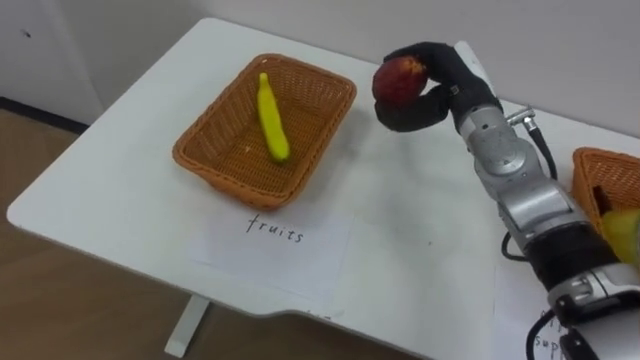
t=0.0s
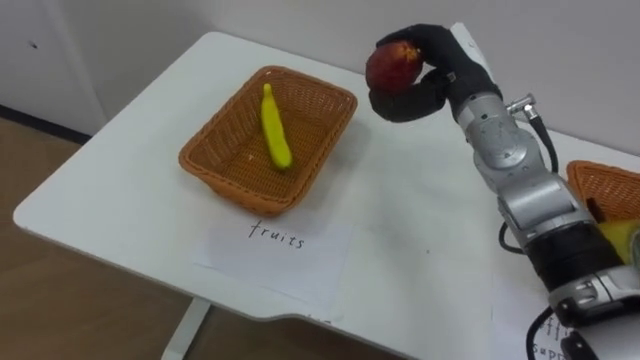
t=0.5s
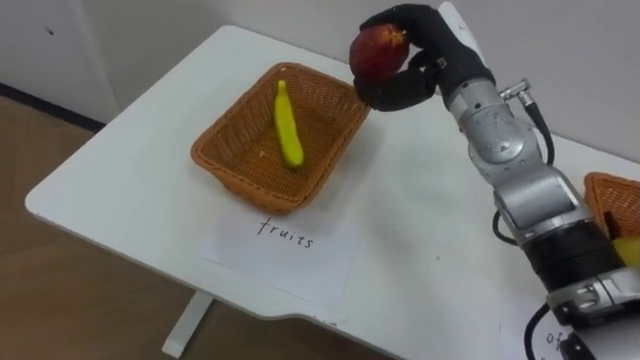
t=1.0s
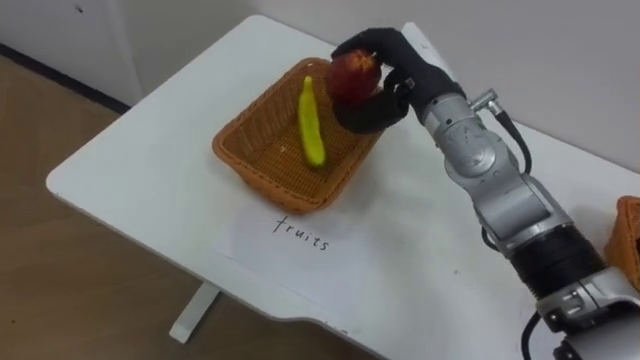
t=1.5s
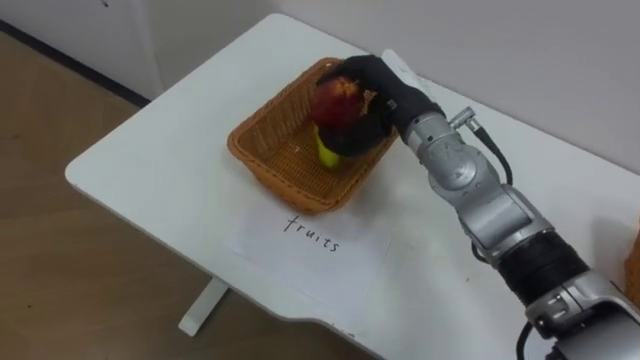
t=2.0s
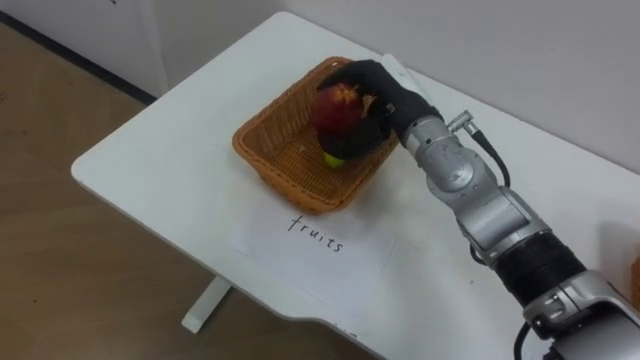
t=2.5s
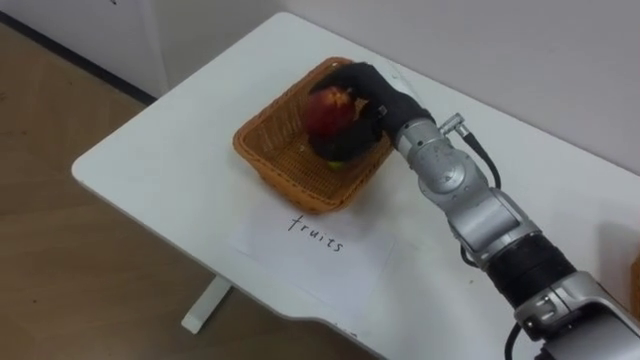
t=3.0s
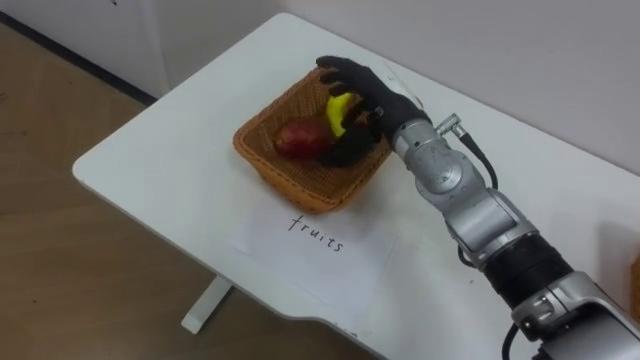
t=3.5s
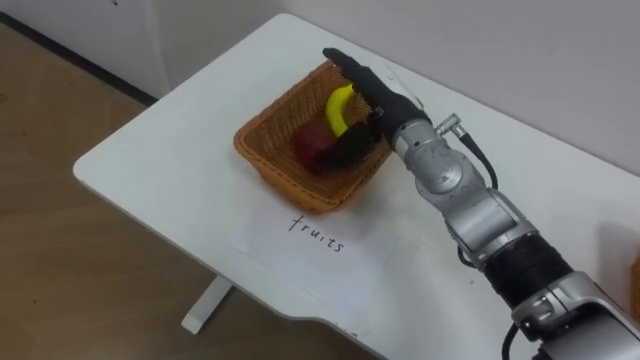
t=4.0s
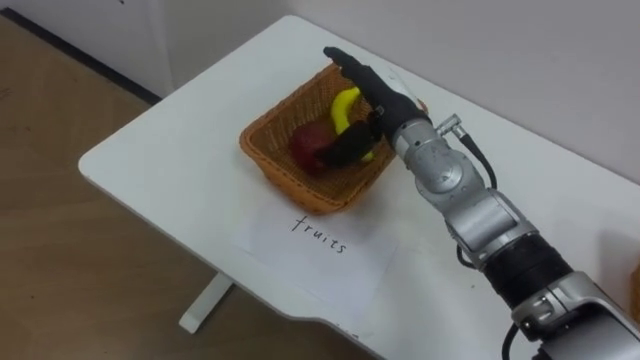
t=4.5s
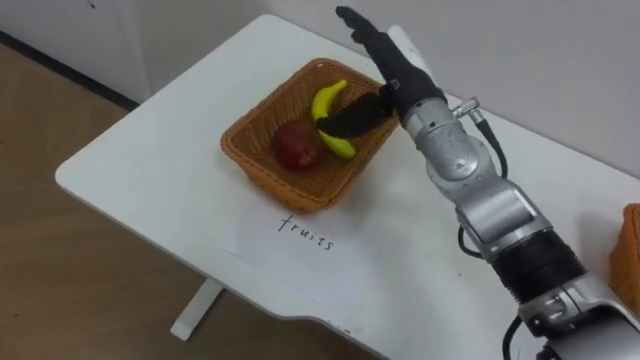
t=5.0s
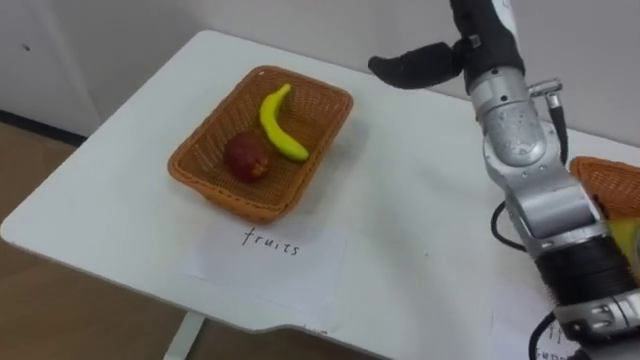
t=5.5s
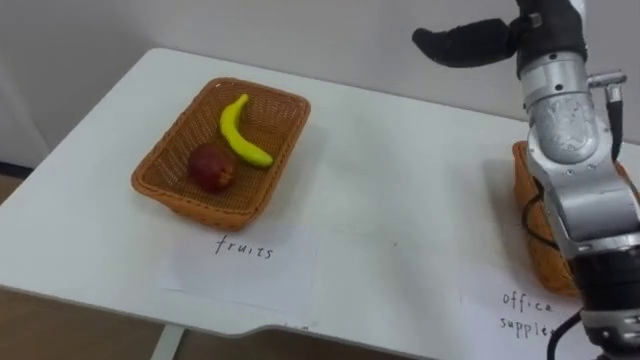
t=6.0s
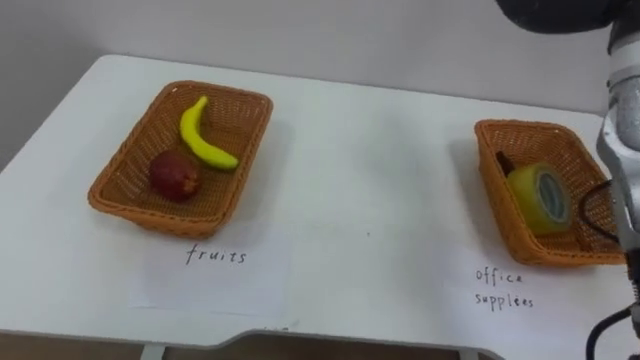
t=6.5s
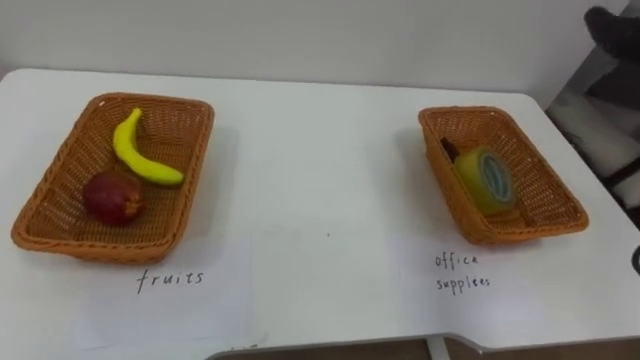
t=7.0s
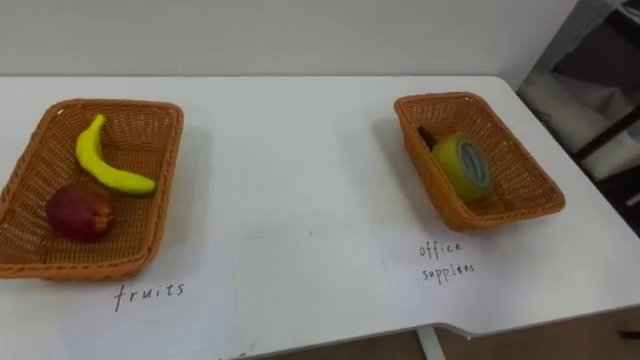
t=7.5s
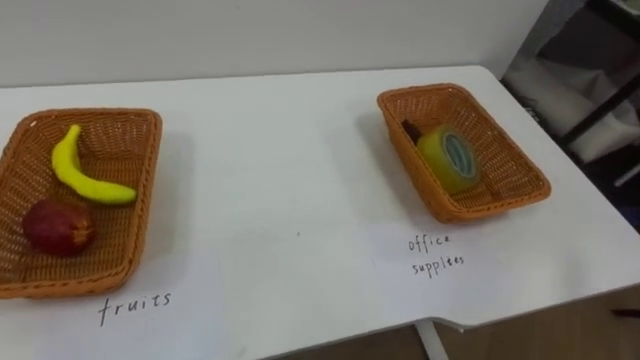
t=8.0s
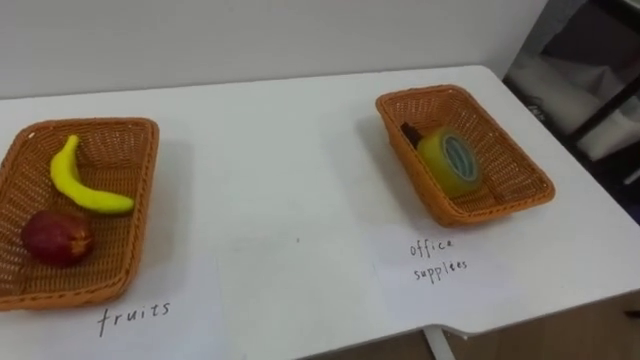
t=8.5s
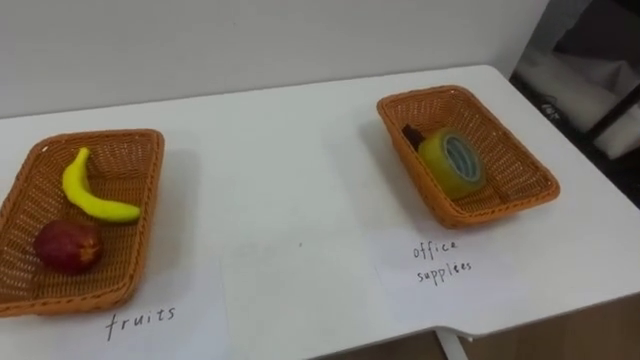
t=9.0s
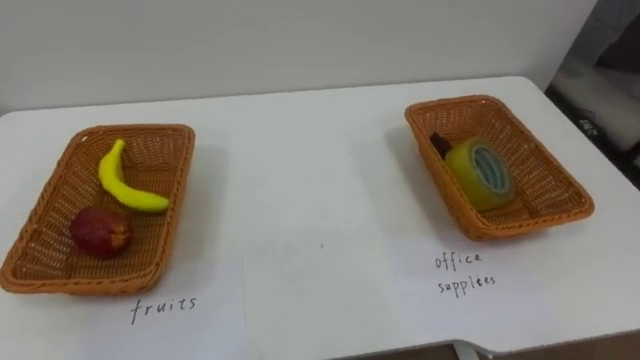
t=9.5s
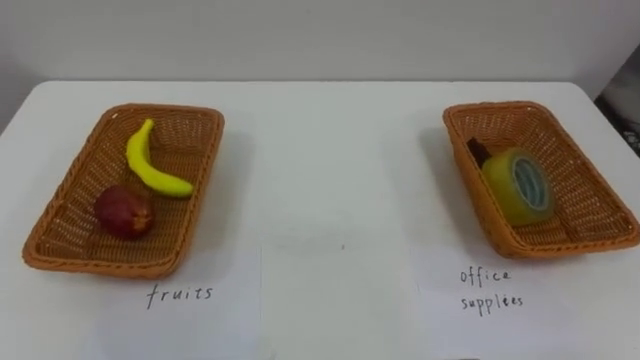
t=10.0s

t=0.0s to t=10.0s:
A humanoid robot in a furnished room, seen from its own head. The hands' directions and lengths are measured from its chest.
Task of the whole recording: Separate the items on the table and place them into the two baskets.
t=0.0s to t=2.0s: The right hand moves to the left, about 10 cm.
t=2.0s to t=4.0s: The right hand opens up.
t=4.0s to t=6.0s: The right hand moves to the right and upward, approximately 20 cm.

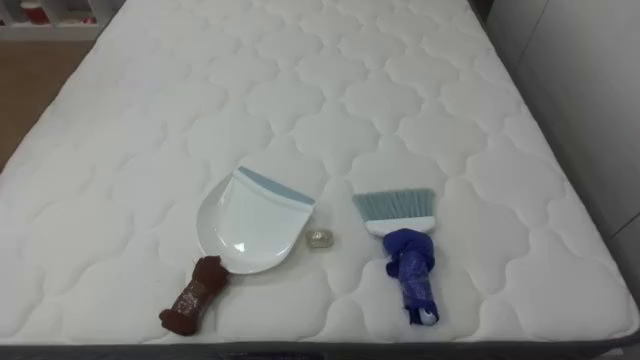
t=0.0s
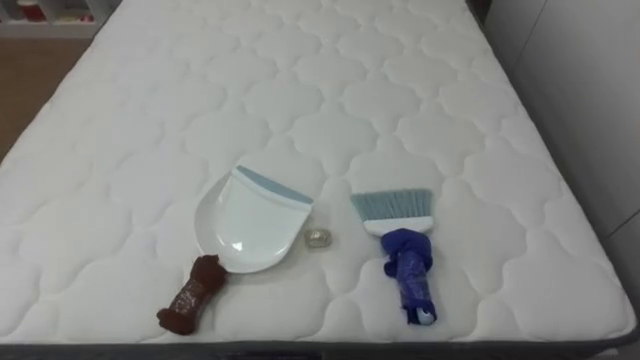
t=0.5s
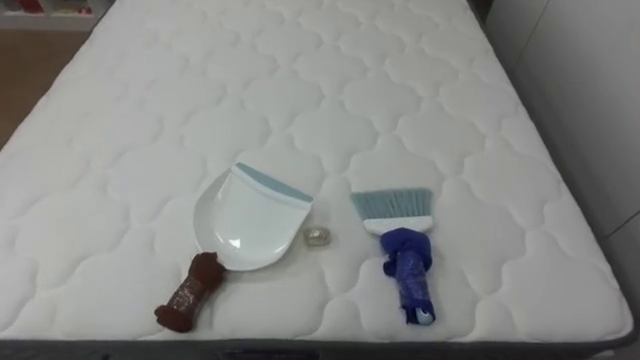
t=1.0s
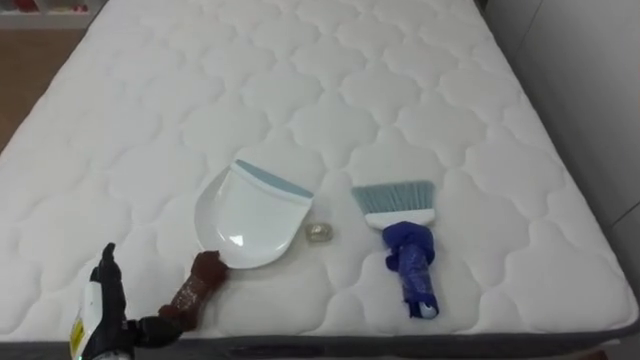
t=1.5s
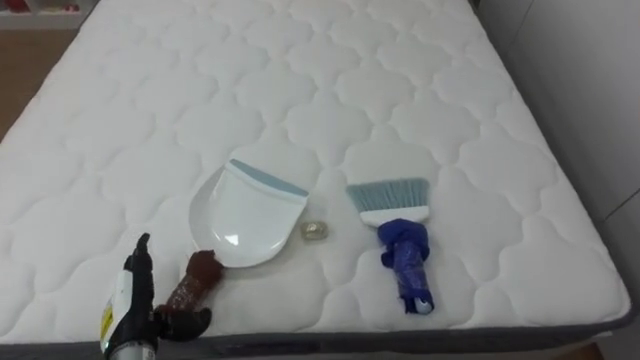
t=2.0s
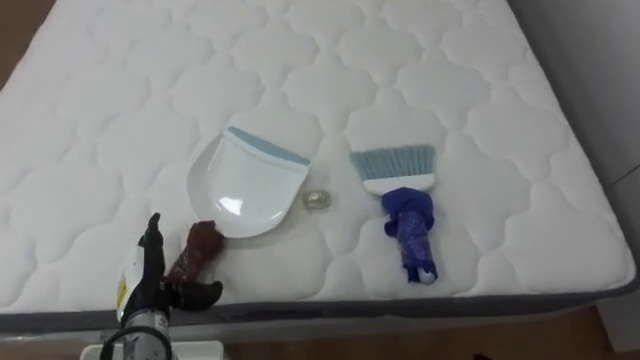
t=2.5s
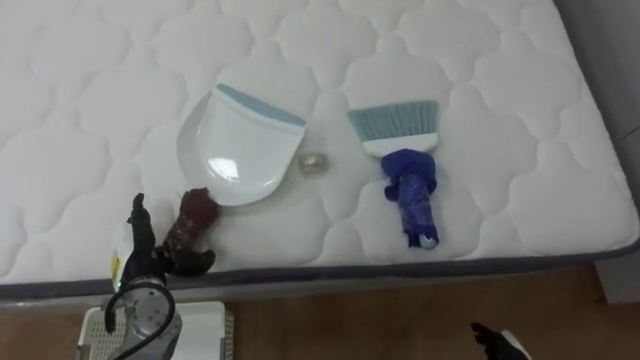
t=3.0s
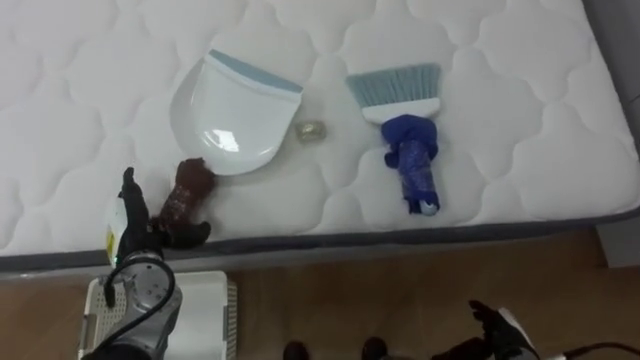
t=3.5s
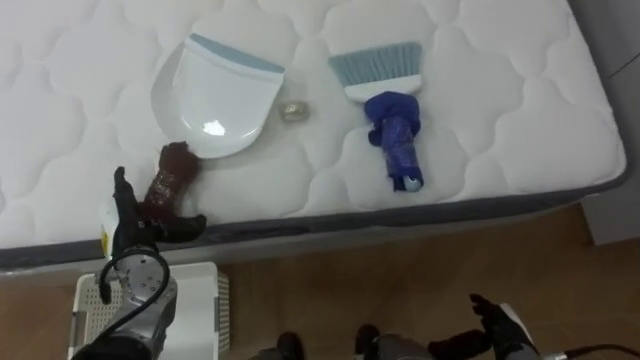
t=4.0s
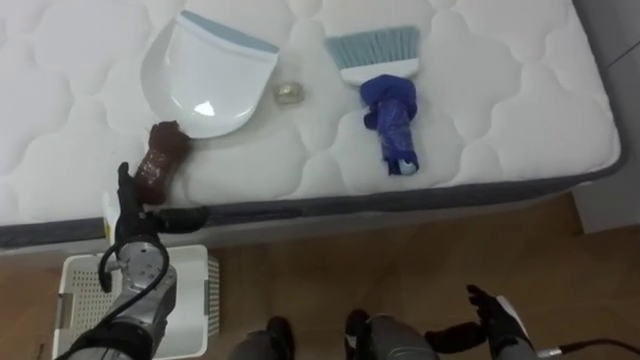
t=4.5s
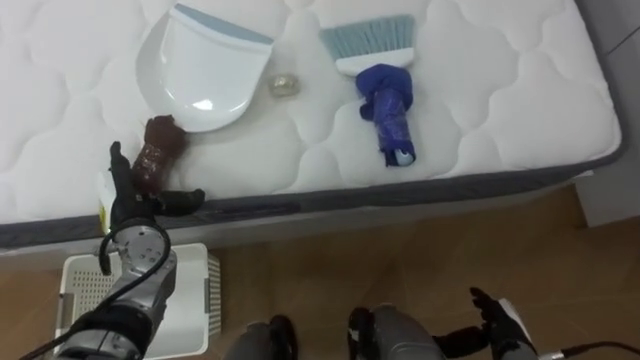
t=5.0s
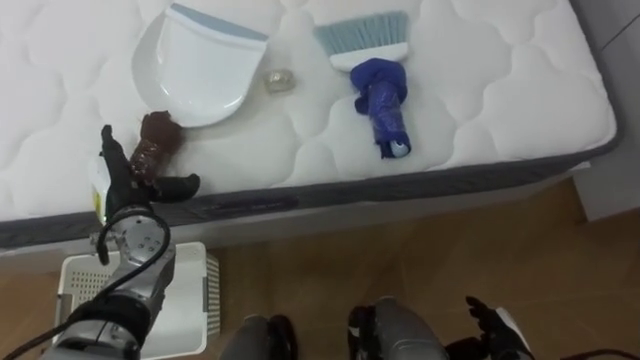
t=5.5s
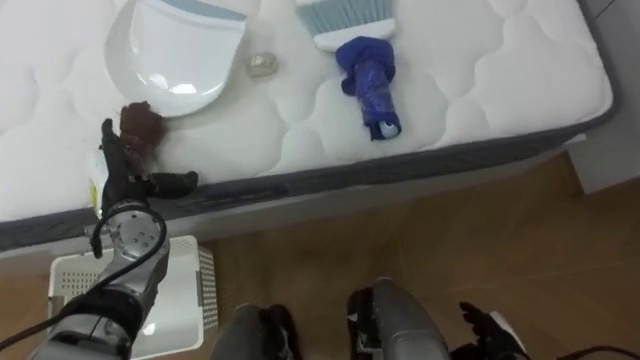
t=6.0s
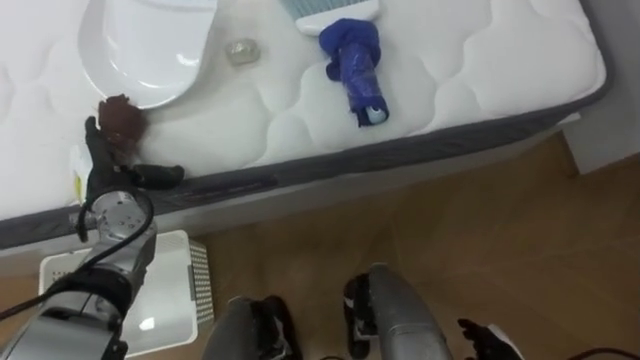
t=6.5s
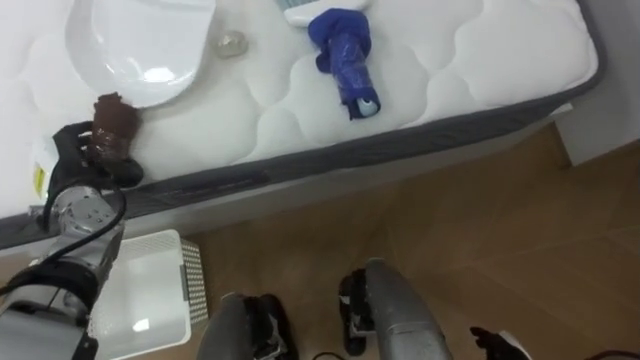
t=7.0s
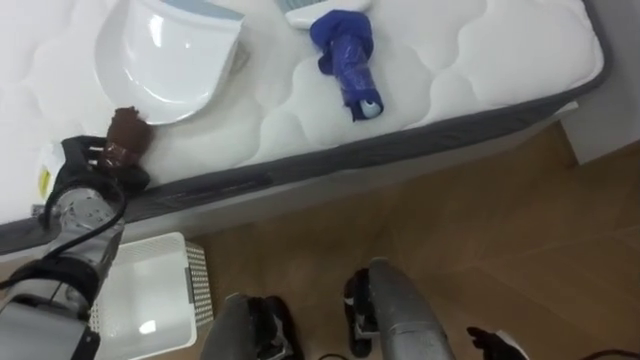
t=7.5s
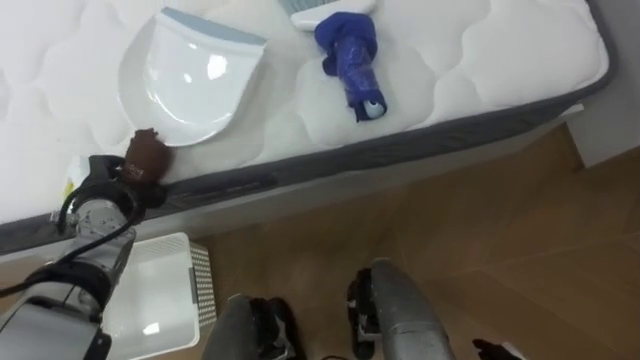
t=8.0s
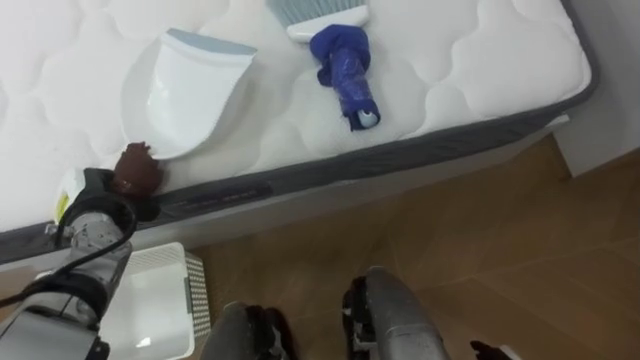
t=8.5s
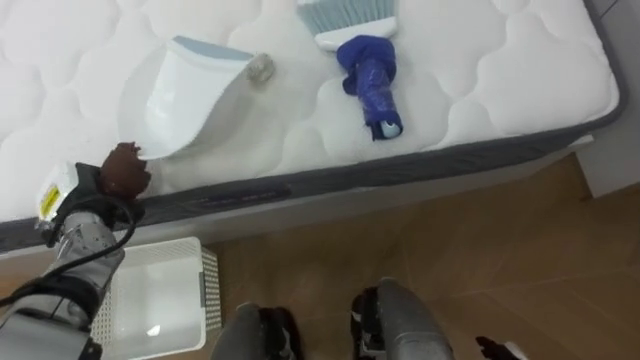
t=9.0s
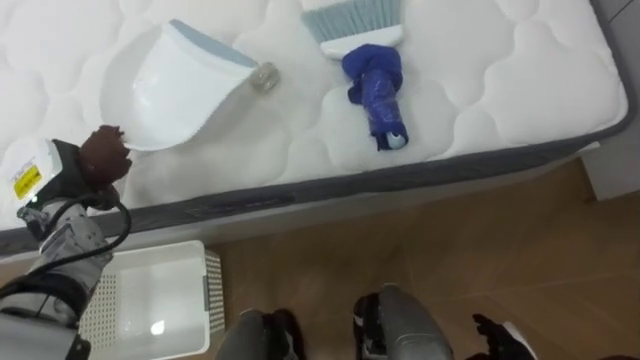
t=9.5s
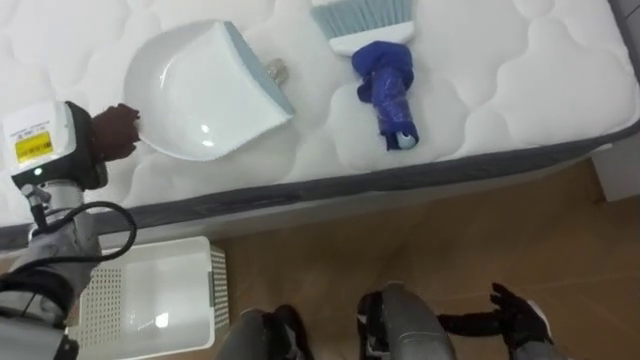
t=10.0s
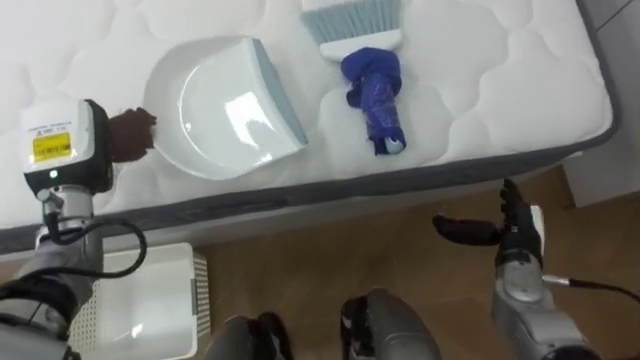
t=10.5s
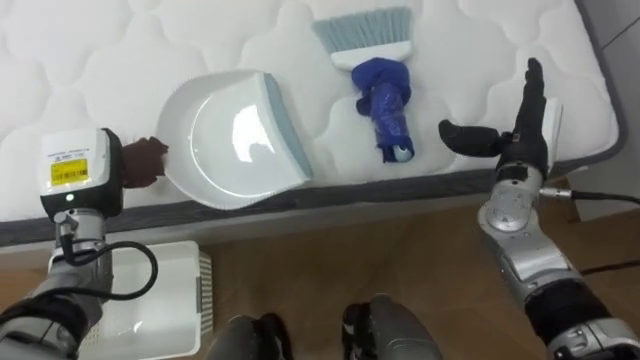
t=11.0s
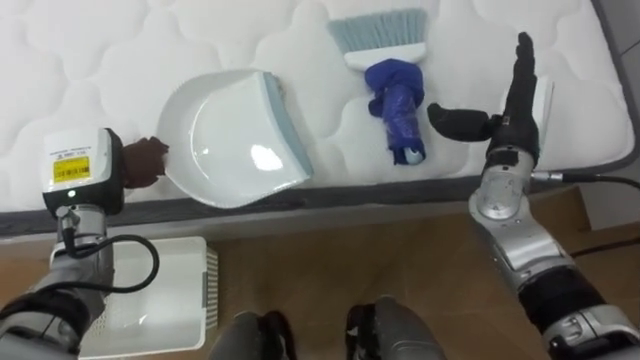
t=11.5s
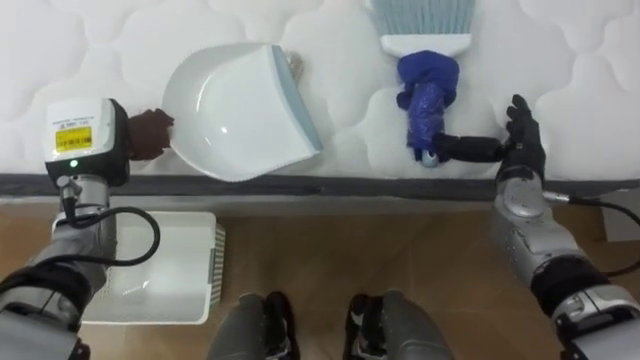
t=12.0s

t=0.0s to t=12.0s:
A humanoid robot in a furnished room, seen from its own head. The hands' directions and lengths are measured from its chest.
Task of the whole recording: Pick up the brush on your right and the dustpan on your left. Use the brush to sweep the crumpled paper on the bed into the dustpan, then turn left and empty it into the basket.
t=2.0s to t=4.0s: The left hand moves forward, roughly 10 cm.
t=4.0s to t=6.0s: The left hand moves roughly 5 cm.
t=6.0s to t=8.0s: The left hand closes its fingers.
t=8.0s to t=10.0s: The left hand shifts some 10 cm upward.
t=10.0s to t=12.0s: The right hand moves forward and upward, approximately 25 cm.
